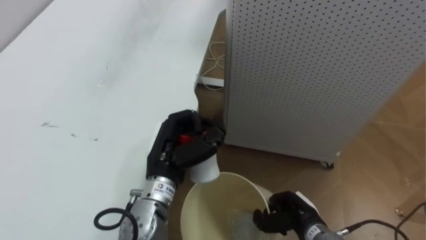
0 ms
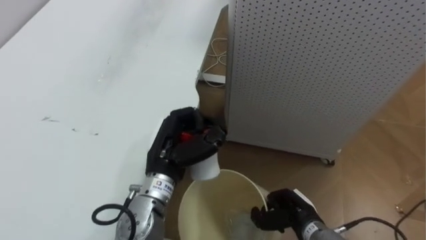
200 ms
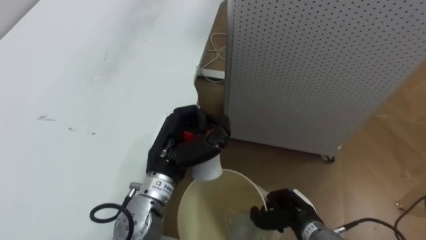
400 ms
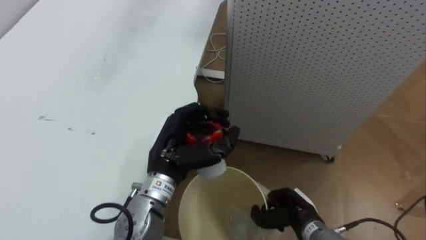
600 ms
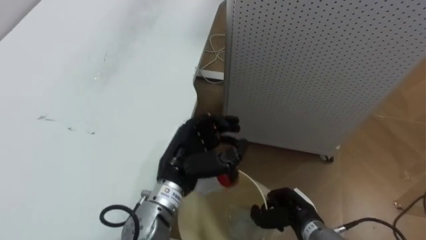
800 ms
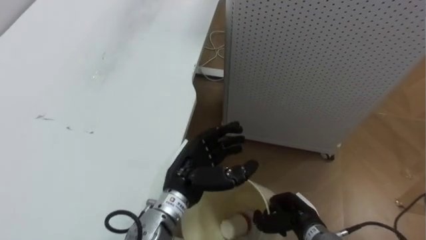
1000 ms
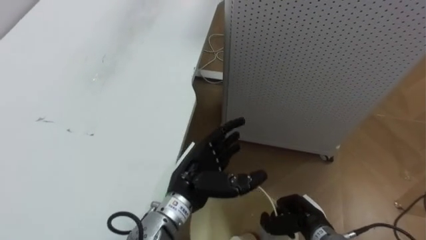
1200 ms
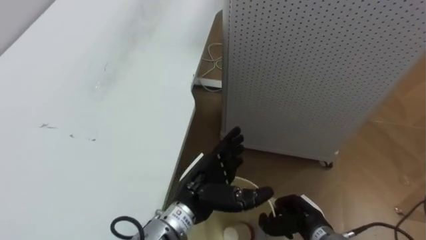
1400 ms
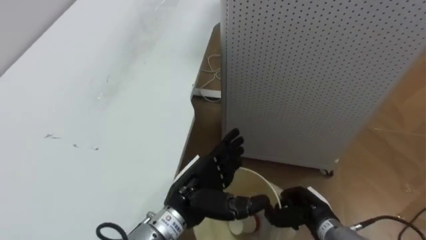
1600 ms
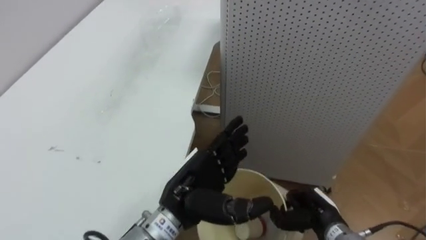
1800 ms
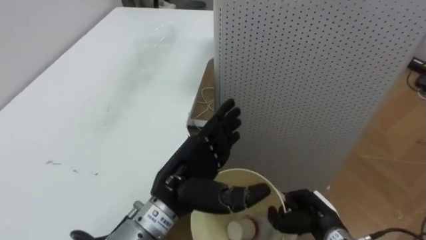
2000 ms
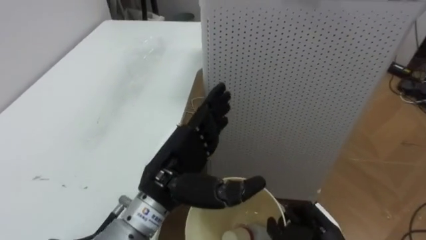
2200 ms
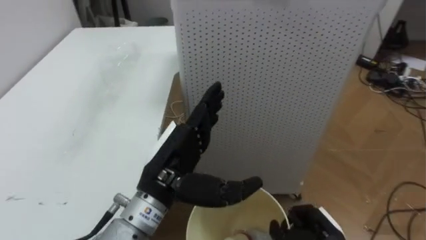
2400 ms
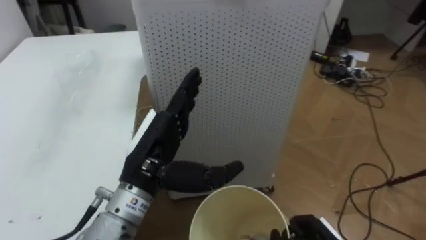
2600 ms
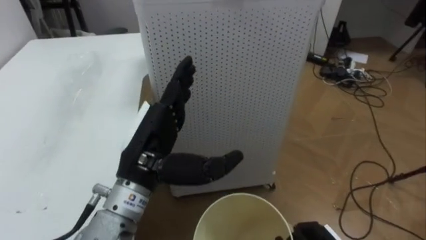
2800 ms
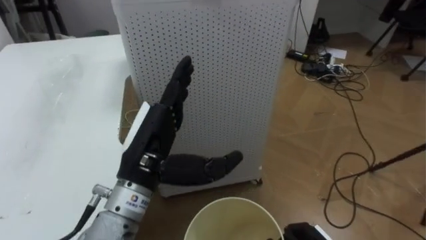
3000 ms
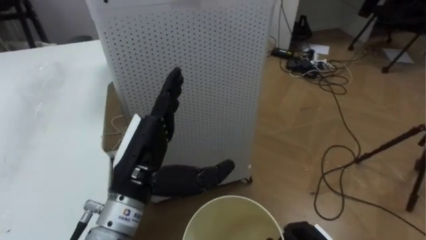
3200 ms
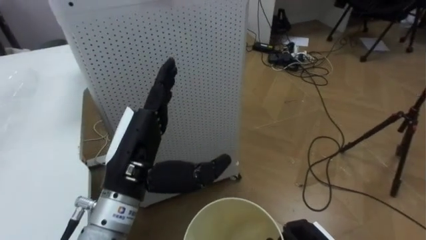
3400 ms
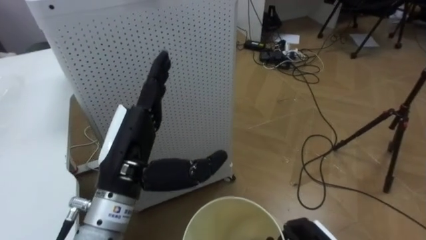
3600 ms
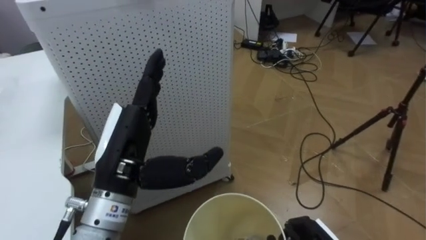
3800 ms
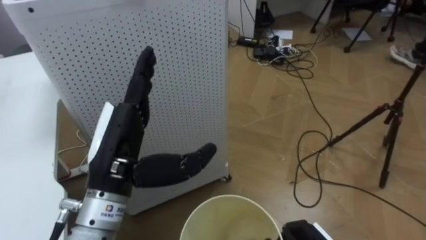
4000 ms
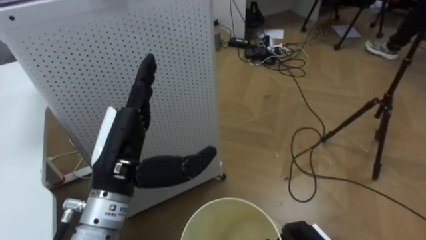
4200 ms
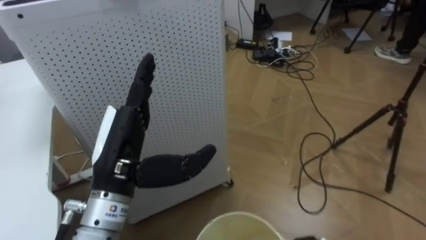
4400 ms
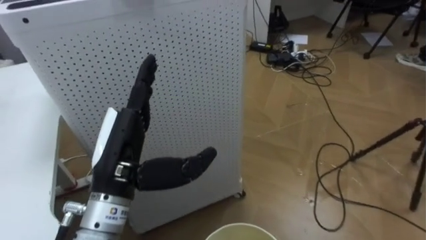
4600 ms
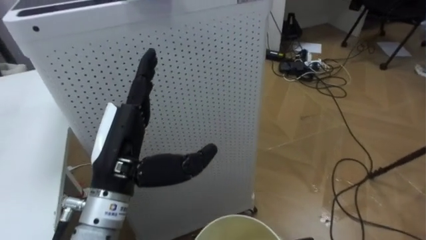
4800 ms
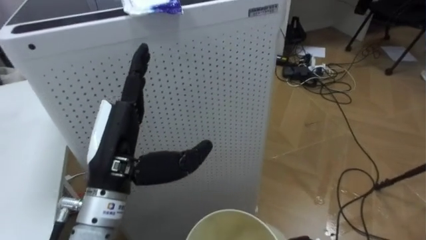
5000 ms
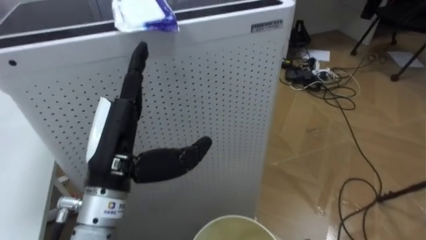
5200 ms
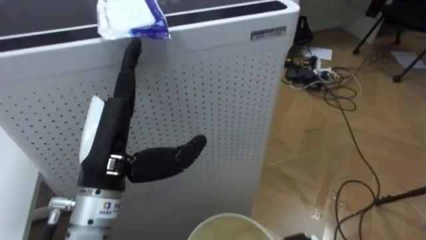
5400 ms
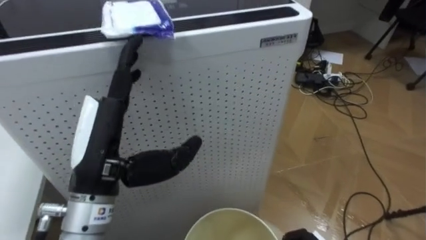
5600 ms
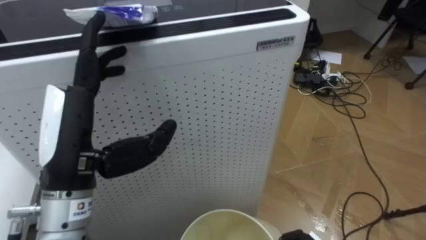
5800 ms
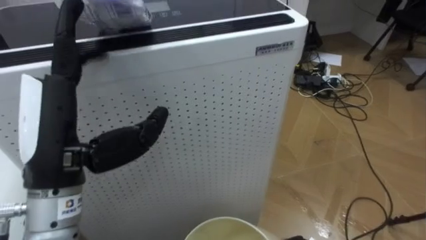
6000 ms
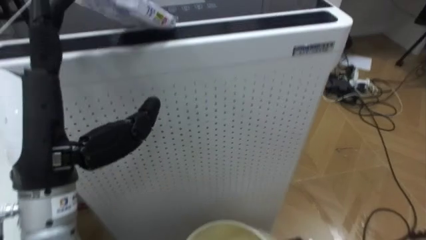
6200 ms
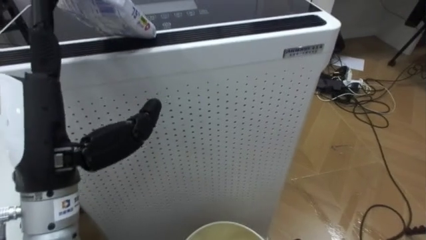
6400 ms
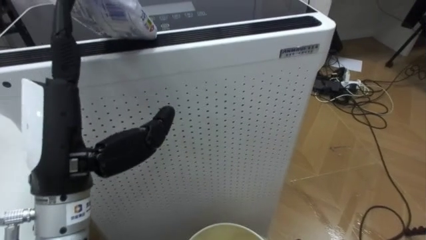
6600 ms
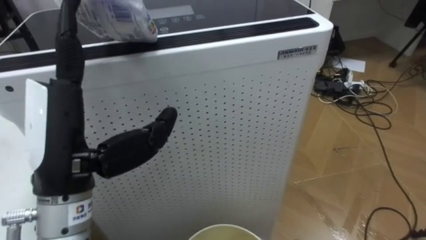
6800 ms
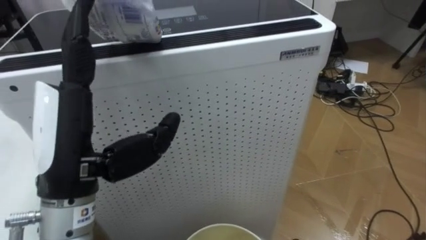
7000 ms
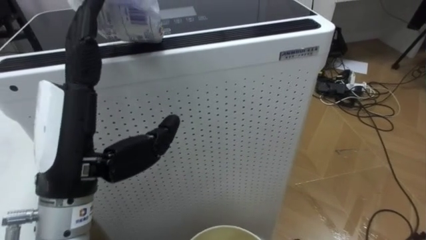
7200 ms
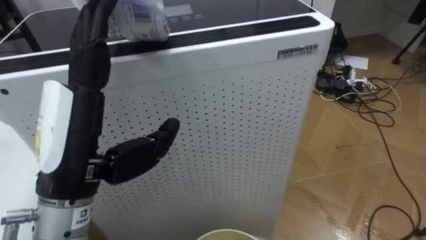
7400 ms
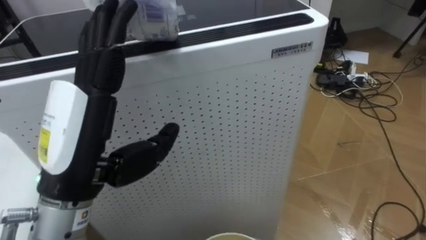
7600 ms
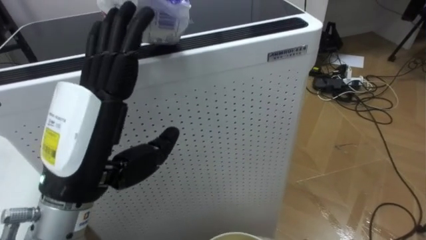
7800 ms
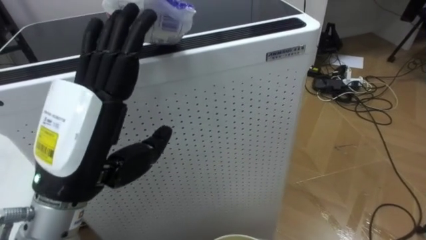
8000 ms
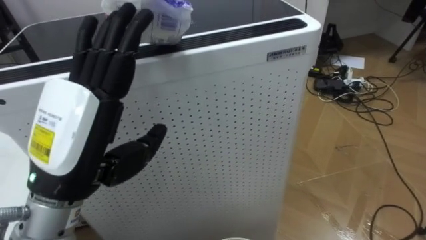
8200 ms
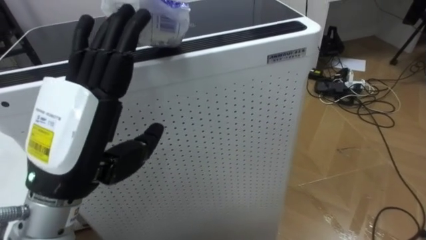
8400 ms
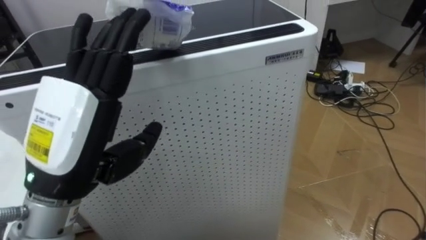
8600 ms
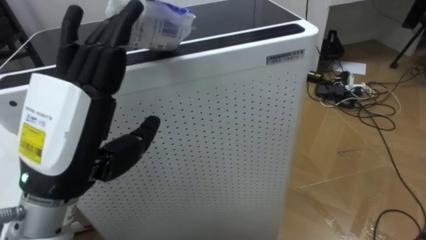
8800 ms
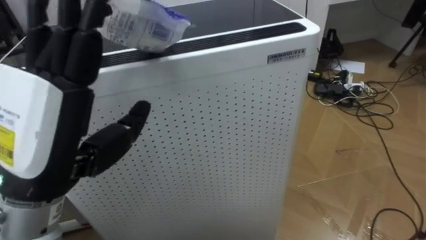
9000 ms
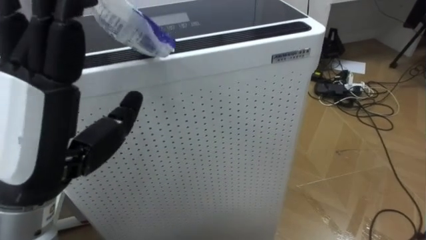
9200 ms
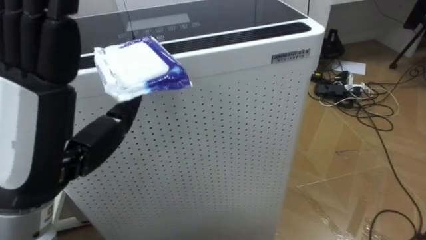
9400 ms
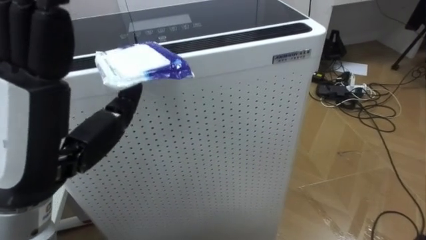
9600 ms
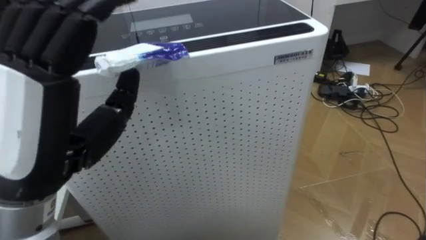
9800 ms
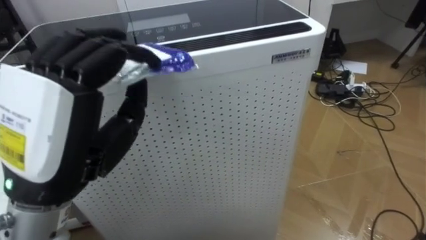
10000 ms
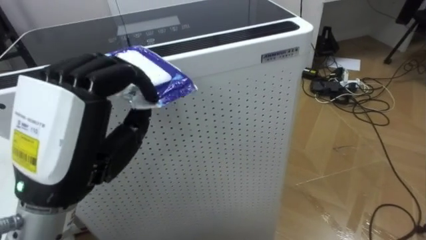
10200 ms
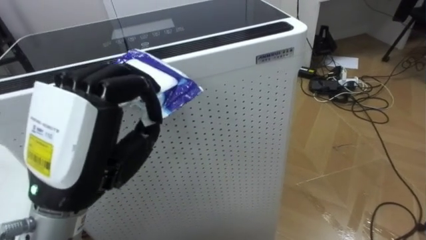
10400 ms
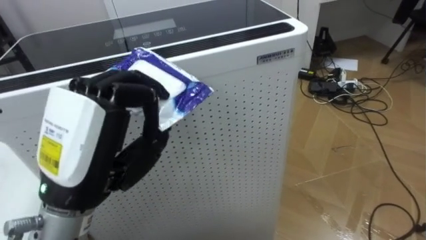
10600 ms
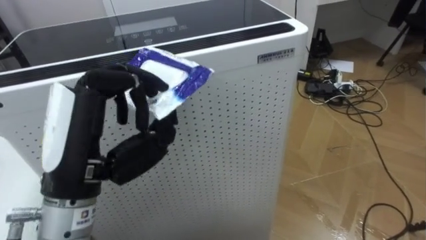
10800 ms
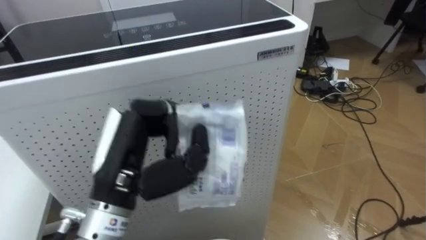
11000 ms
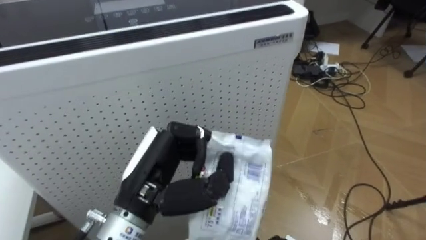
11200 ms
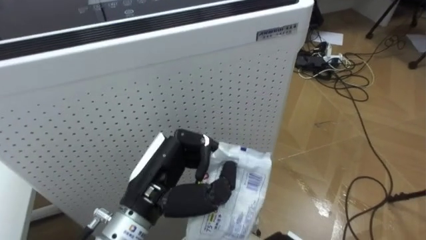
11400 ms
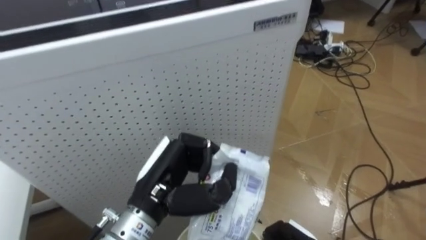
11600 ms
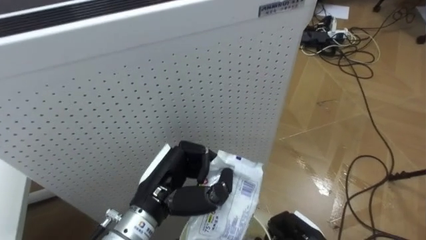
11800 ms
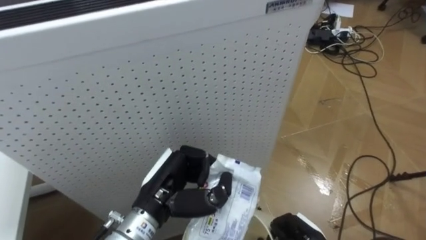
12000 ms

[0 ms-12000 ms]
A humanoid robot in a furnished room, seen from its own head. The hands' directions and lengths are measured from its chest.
Task of the whole recording: Pick up the light blue package, the candy box, and the dark blue package separately, and put them into the trash can held in your right hand.
0 ms to 1600 ms: The left hand heads to the right, covering some 5 cm, and opens its fingers.
1600 ms to 3000 ms: The robot's body swings about 25 degrees to its right. The left hand goes approximately 15 cm upward and to the left.
4400 ms to 6000 ms: The left hand goes roughly 5 cm upward.
9000 ms to 10400 ms: The left hand closes.
10400 ms to 12000 ms: The left hand goes approximately 20 cm downward and to the right.

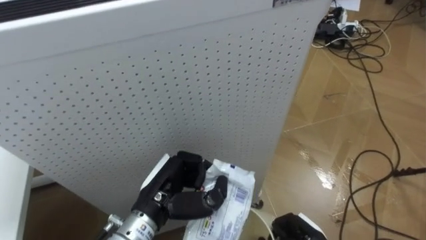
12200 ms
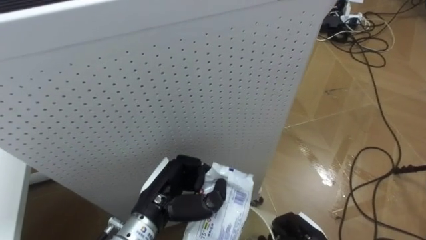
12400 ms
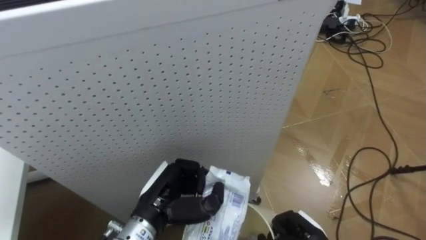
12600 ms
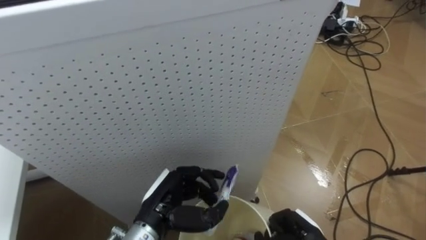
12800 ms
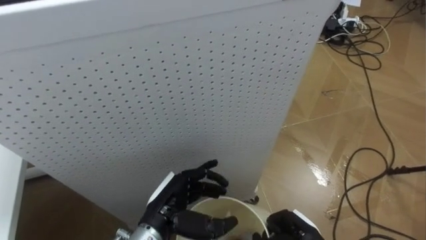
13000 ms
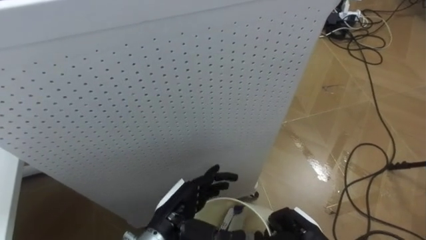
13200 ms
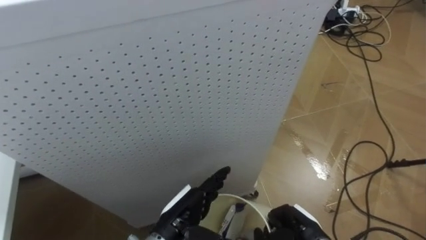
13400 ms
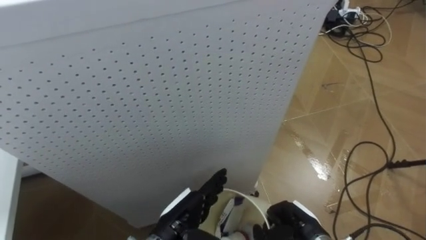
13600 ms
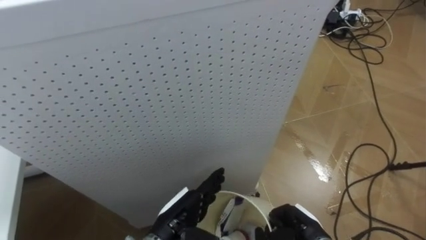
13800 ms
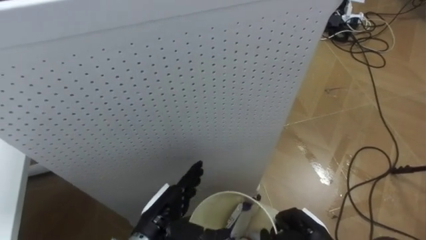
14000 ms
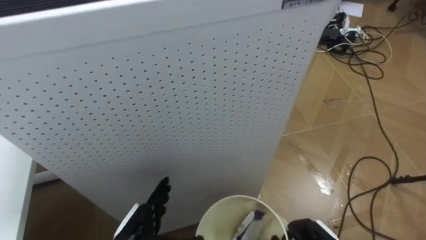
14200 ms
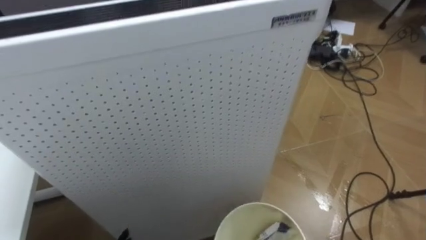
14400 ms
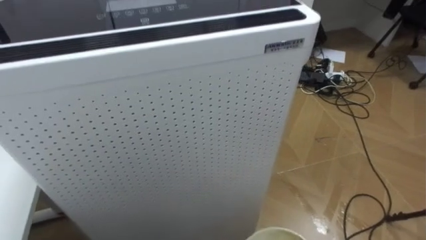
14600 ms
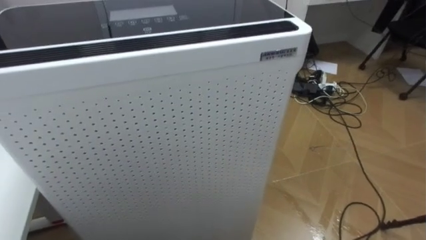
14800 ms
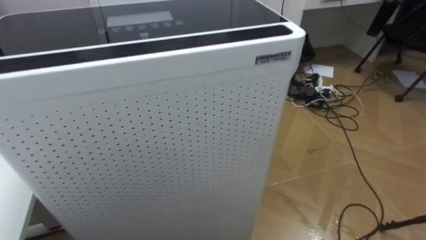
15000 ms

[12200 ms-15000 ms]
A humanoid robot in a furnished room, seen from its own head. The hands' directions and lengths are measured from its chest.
Task of the whole recording: Pick up the light blue package, the candy box, and the dark blue package separately, and put them into the trash can held in your right hand.
12200 ms to 13600 ms: The left hand travels downward by roughly 5 cm, and opens up.

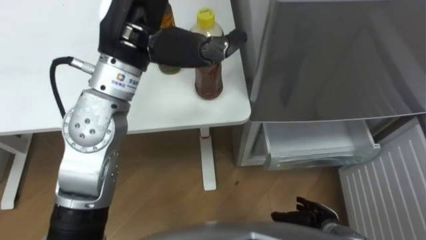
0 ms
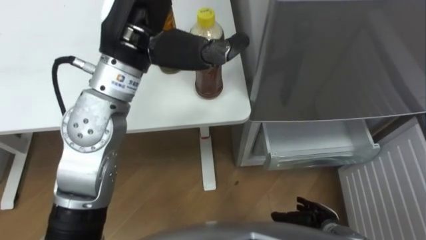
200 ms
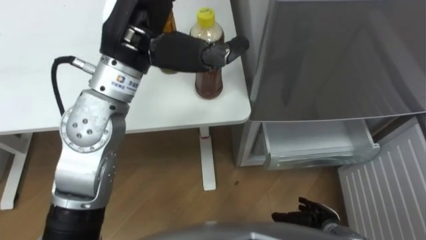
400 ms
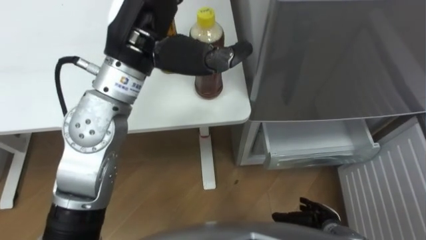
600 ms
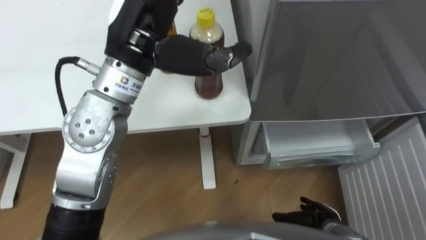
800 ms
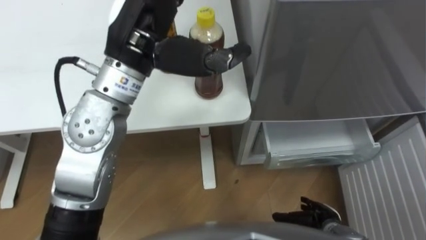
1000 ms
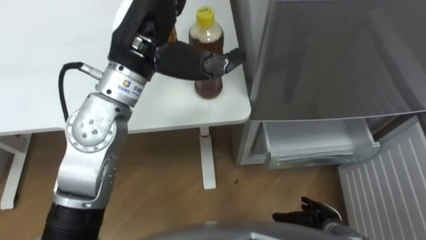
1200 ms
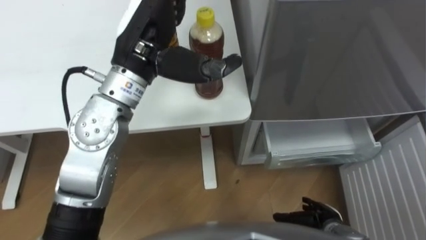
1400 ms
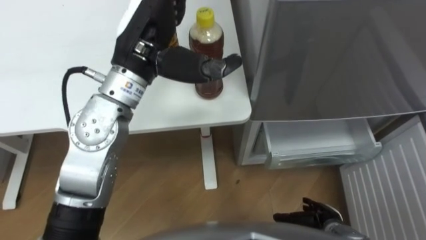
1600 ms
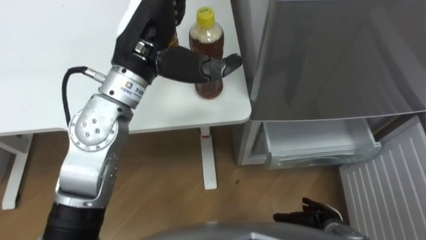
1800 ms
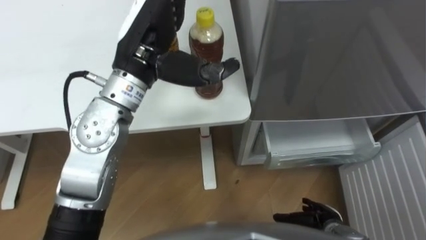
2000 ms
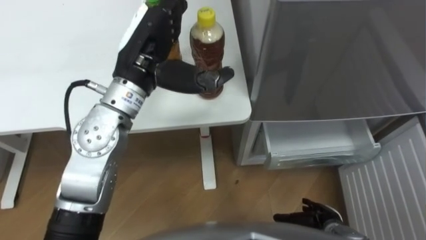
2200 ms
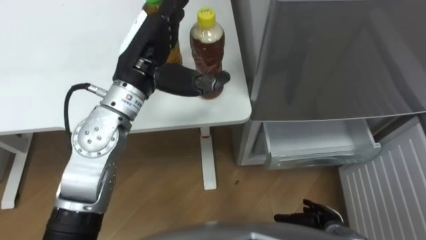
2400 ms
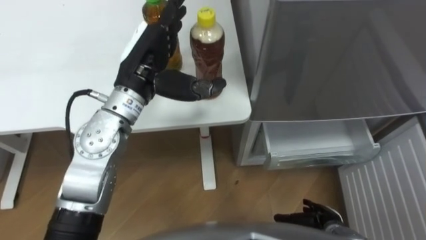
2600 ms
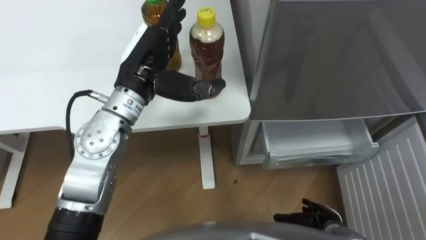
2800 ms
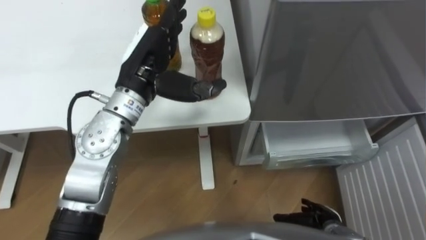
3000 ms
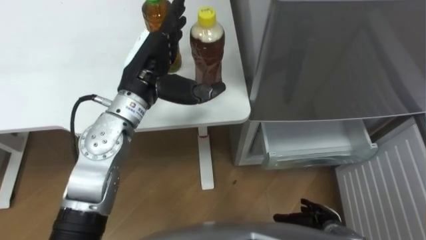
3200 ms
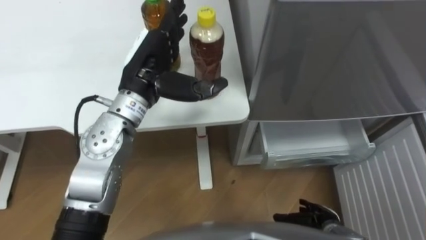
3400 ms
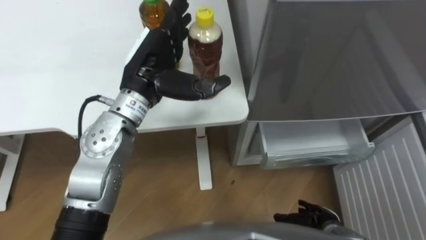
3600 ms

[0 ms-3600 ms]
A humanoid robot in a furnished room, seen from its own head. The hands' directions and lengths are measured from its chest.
Task of the whole recording: Place the drink on the table on the bottom shelf of the refrigerator, then close the drawer and the refrigerator door.
1800 ms to 3600 ms: The left hand is displaced downward by some 5 cm.
